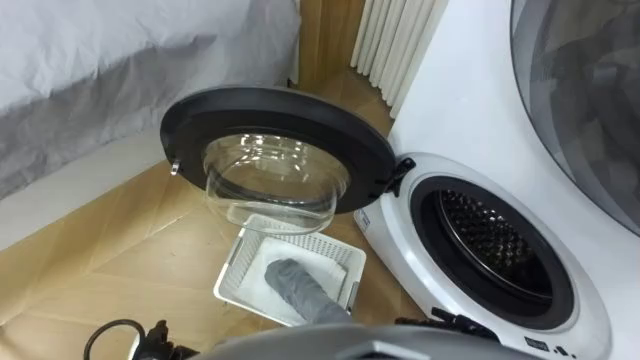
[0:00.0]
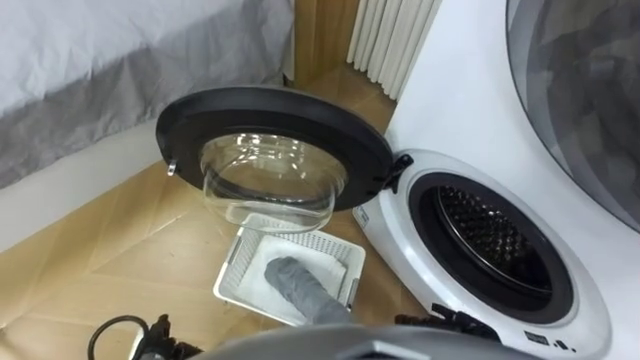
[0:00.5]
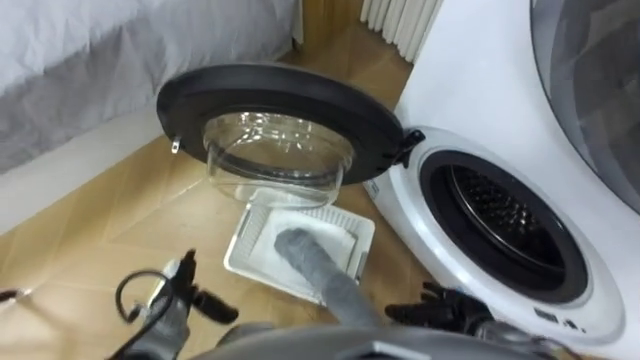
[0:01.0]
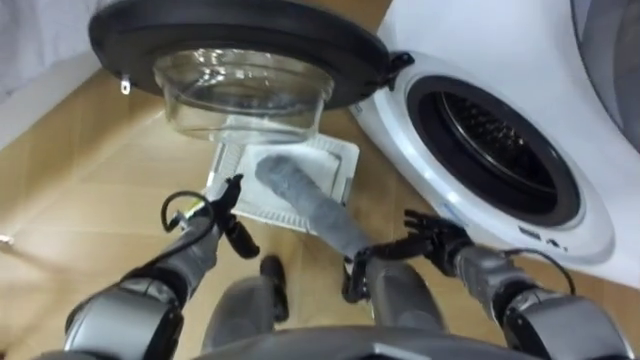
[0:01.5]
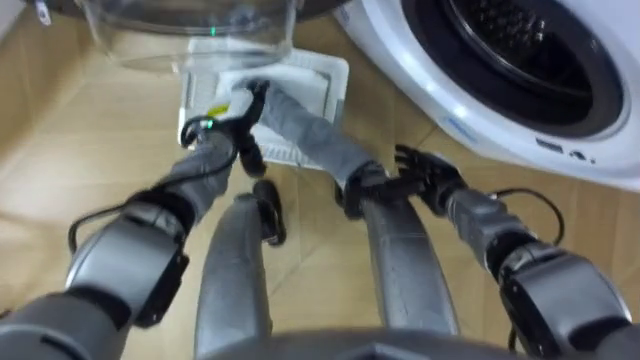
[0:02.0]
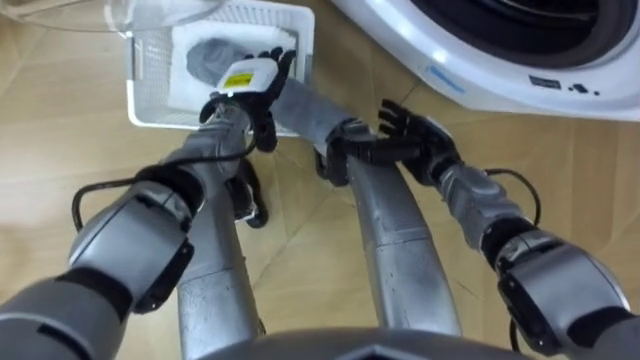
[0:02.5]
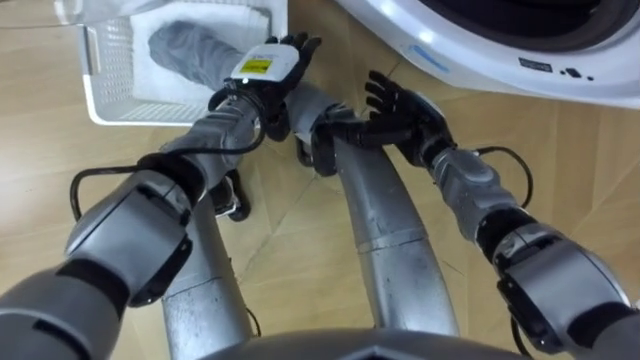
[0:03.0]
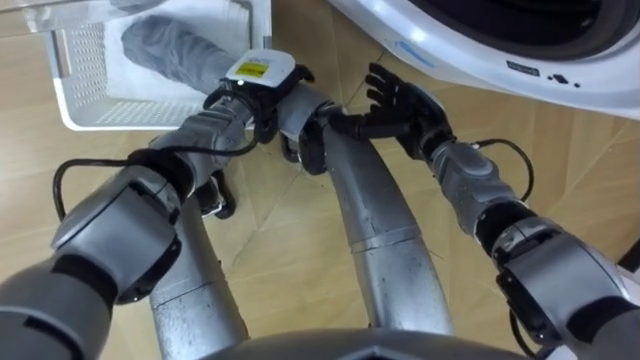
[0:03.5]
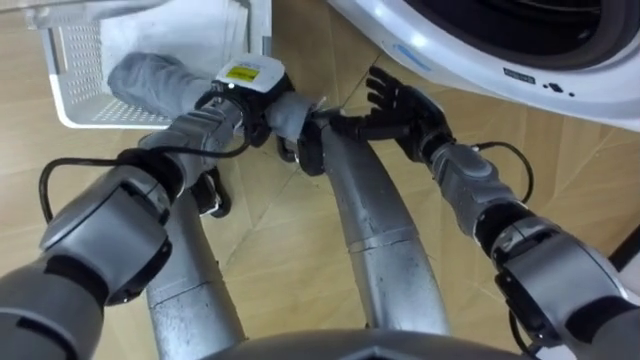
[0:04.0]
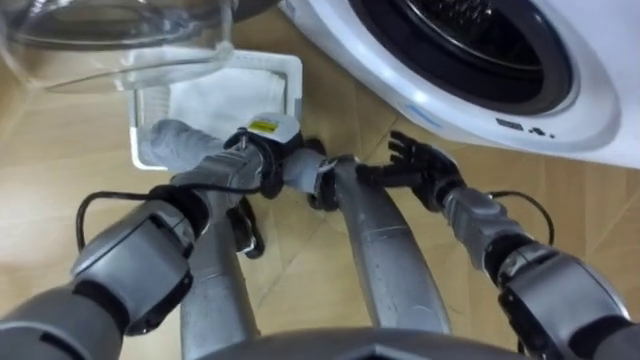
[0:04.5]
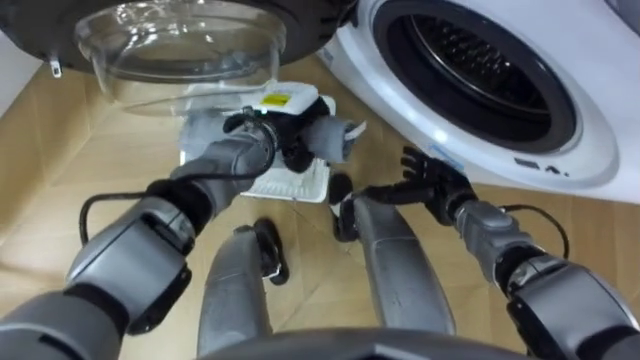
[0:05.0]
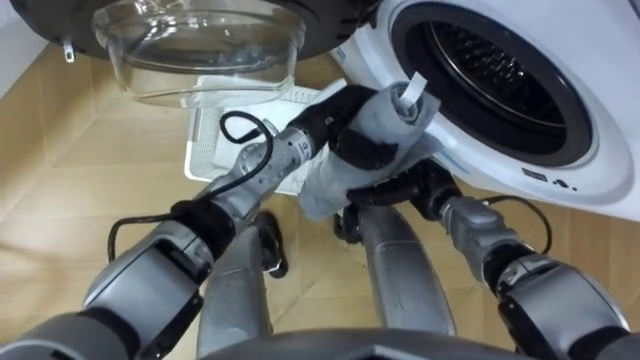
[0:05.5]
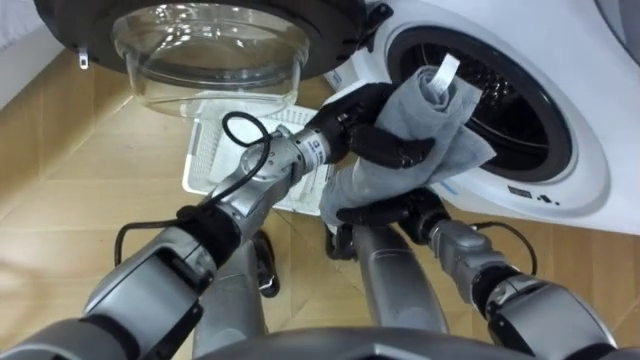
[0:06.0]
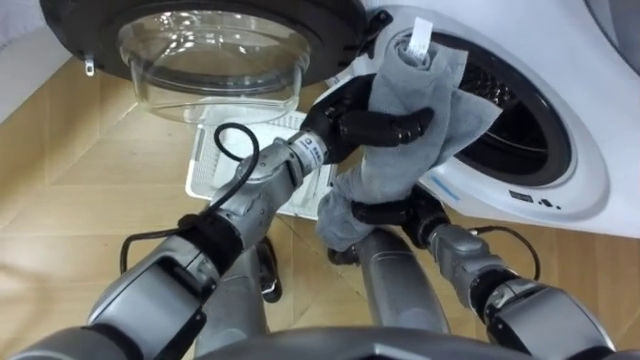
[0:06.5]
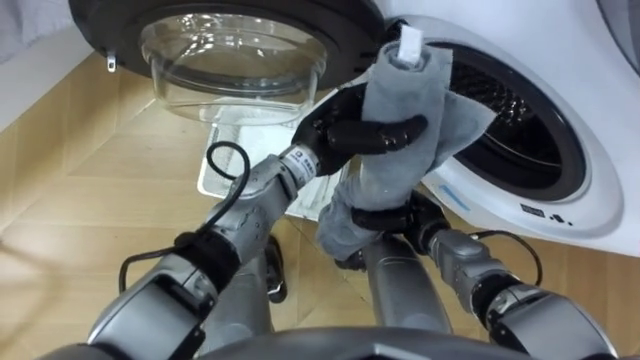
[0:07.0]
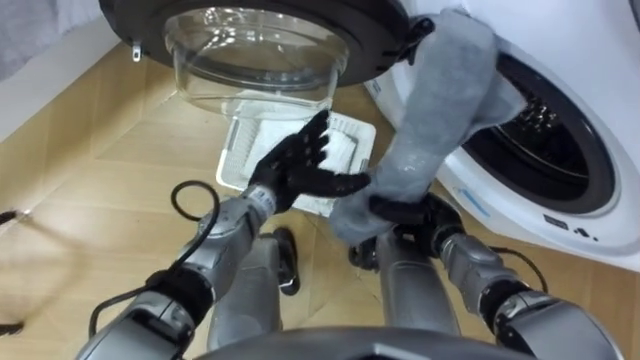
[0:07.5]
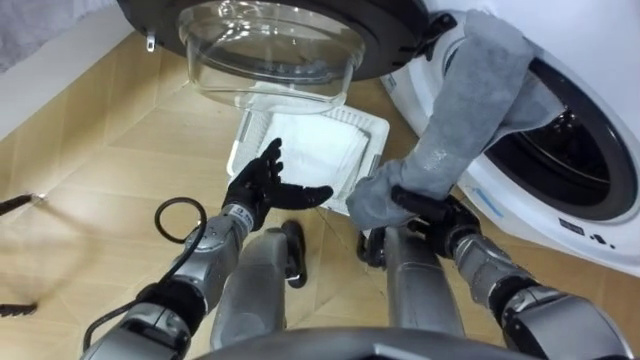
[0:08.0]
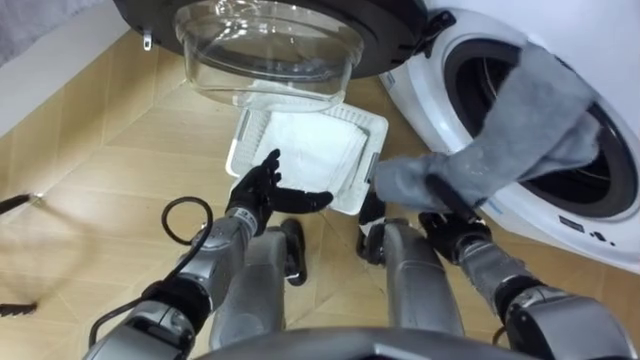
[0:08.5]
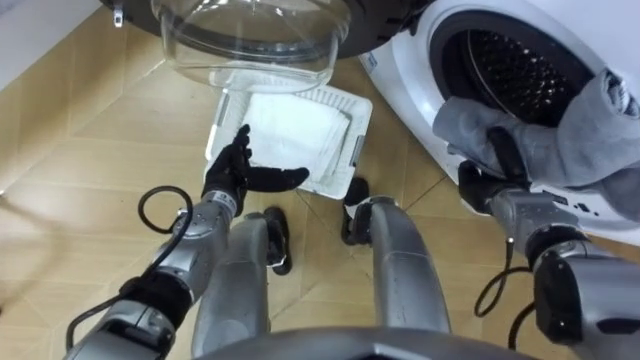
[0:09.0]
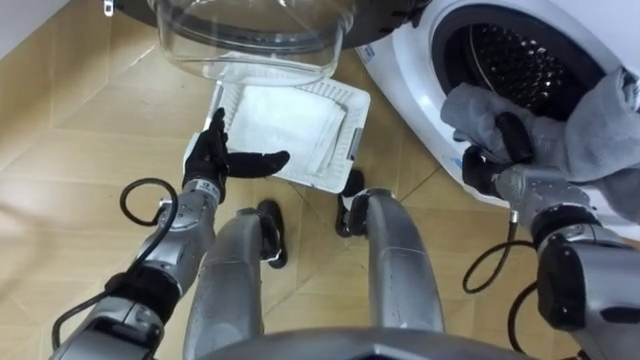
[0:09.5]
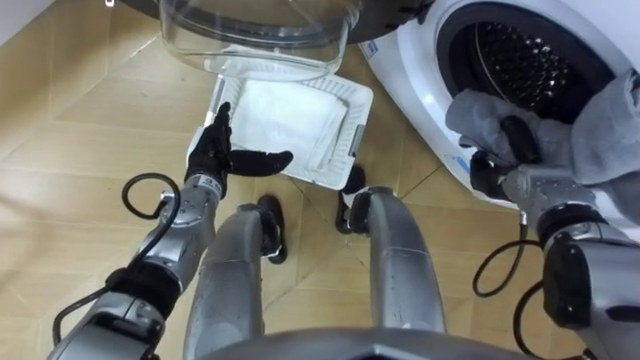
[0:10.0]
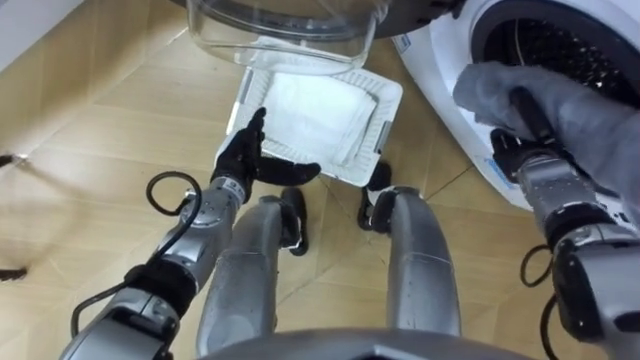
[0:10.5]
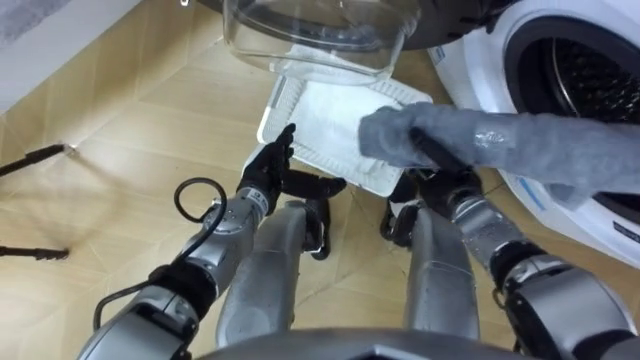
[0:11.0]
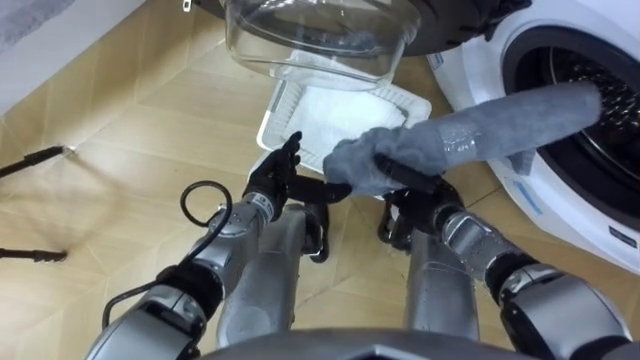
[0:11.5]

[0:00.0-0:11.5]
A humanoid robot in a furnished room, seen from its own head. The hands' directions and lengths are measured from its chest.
Task of the whole recording: Take the towel from the basket and put it into the washing machine.
0:02.0 to 0:04.0: The right hand moves upward and forward, some 10 cm. The left hand shifts by approximately 5 cm, and closes.
0:04.0 to 0:06.0: The left hand is displaced to the right and backward by about 15 cm. The right hand travels backward and downward by roughly 15 cm.
0:06.0 to 0:07.5: The left hand shifts roughly 10 cm to the left and downward, and opens its fingers. Meanwhile the right hand closes up.
0:07.5 to 0:09.5: The left hand moves to the left, some 10 cm. Meanwhile the right hand is displaced to the right and forward by roughly 10 cm.
0:09.5 to 0:11.5: The left hand travels to the right by about 10 cm. The right hand heads to the left, covering about 10 cm.

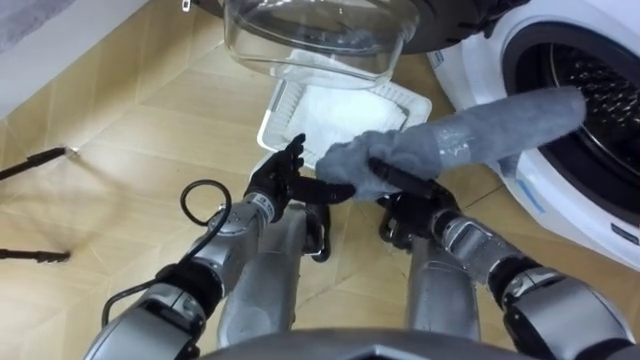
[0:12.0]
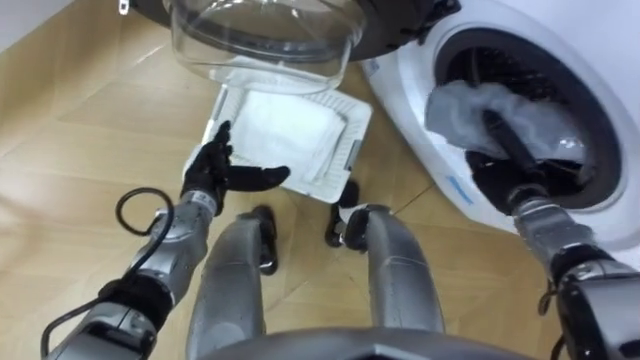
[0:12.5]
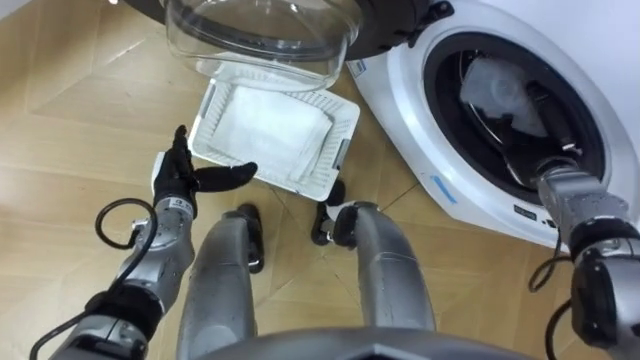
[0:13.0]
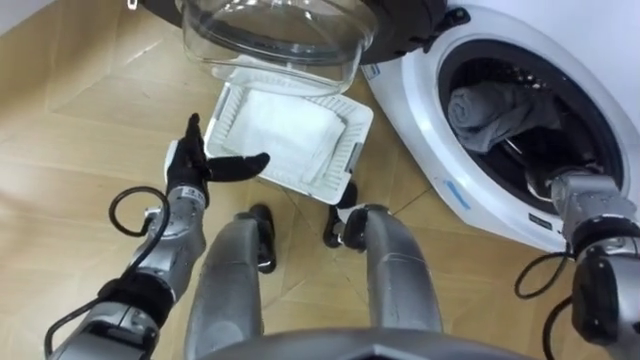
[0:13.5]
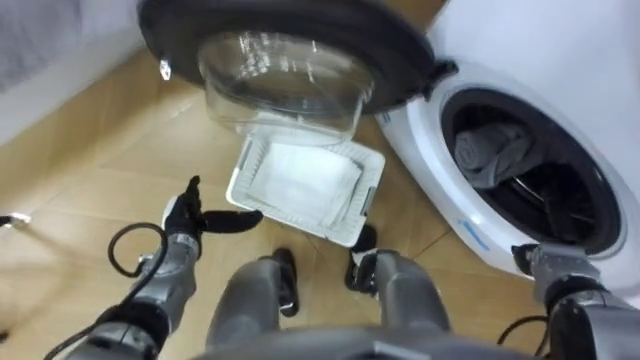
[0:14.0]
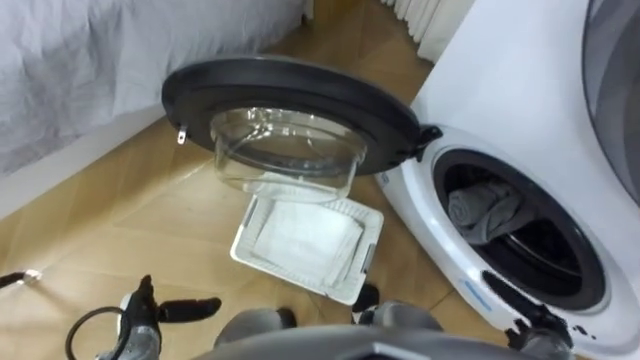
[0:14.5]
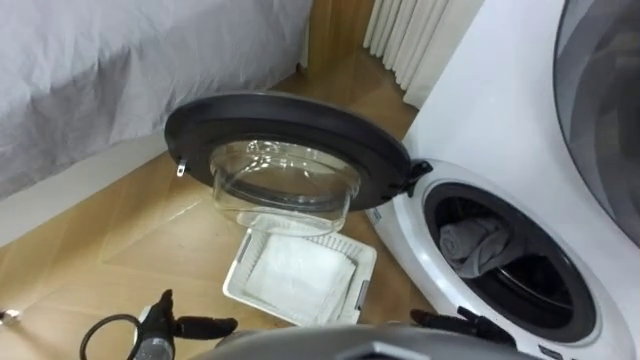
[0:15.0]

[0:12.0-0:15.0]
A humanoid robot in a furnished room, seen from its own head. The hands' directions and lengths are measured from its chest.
Task of the whole recording: Take the towel from the basket and put it into the washing machine.
0:12.0 to 0:13.5: The right hand goes approximately 20 cm to the right, and opens its fingers. The left hand goes about 10 cm to the left.
0:13.5 to 0:15.0: The right hand travels backward, downward and to the left by some 30 cm, while the left hand is displaced backward and downward by roughly 25 cm.

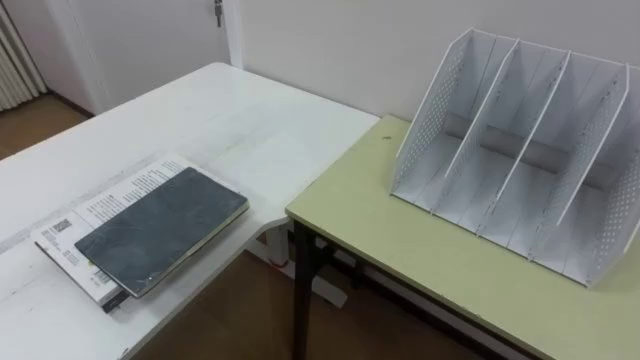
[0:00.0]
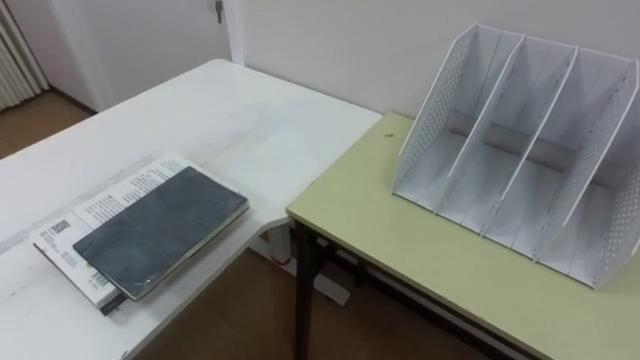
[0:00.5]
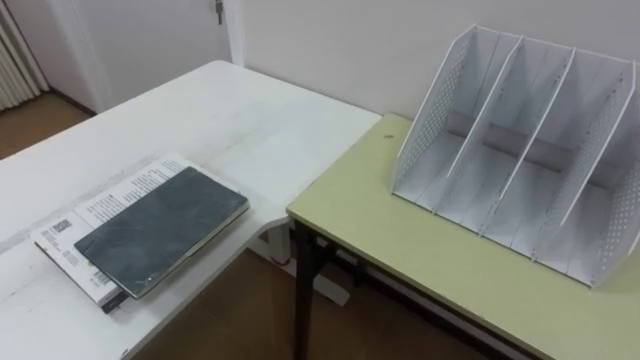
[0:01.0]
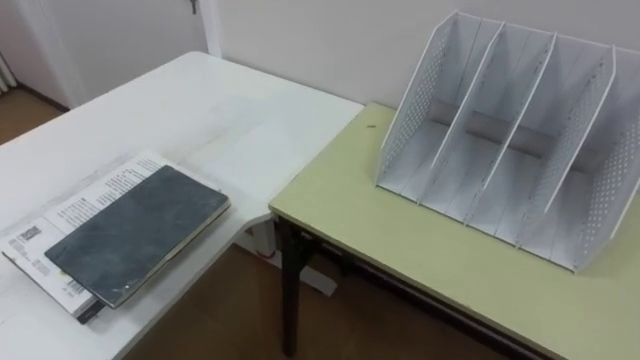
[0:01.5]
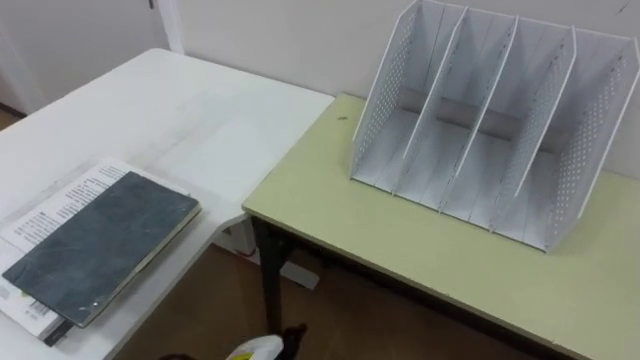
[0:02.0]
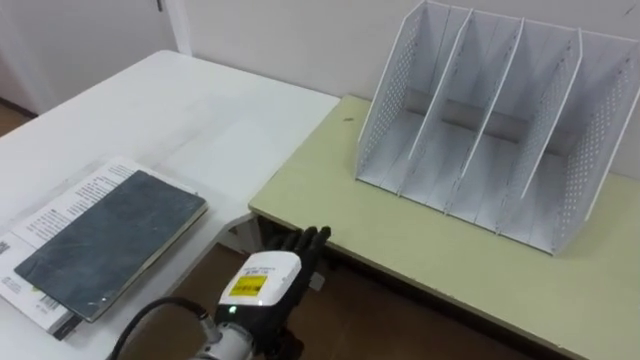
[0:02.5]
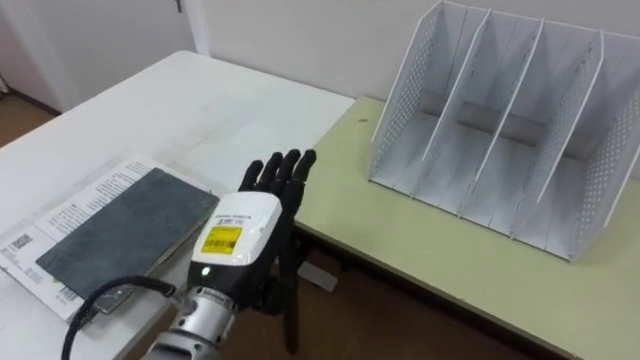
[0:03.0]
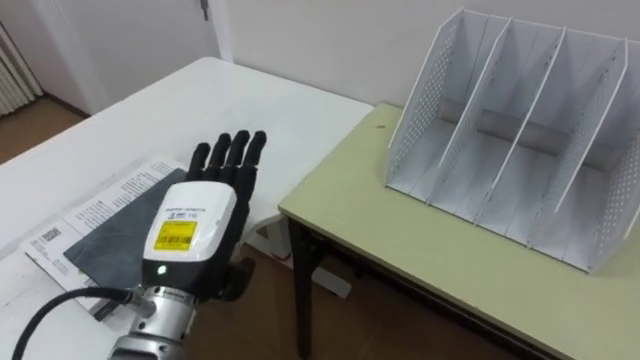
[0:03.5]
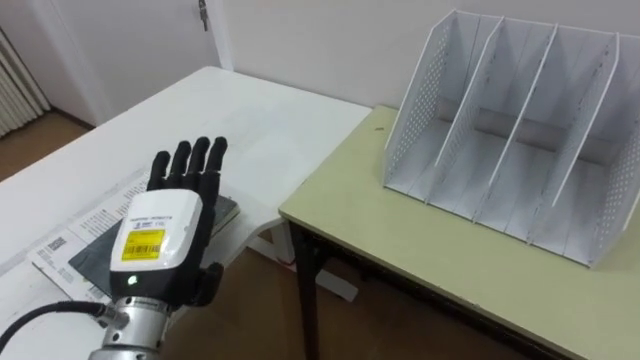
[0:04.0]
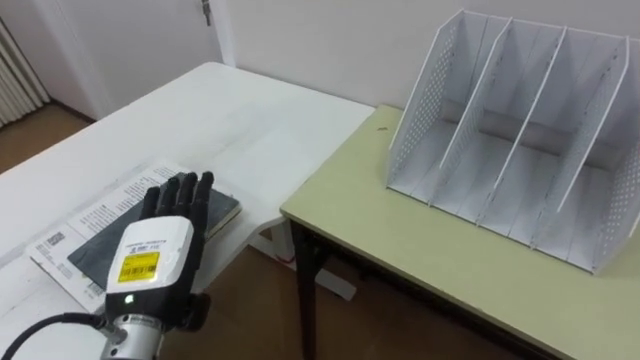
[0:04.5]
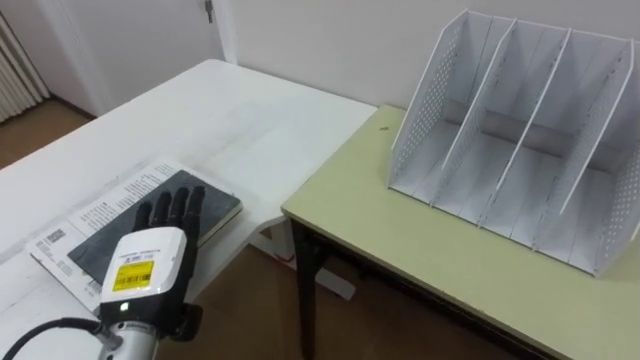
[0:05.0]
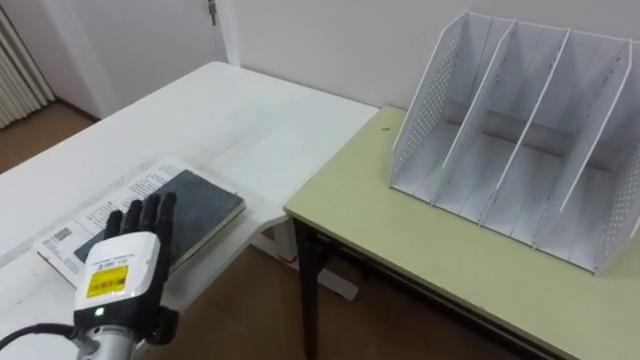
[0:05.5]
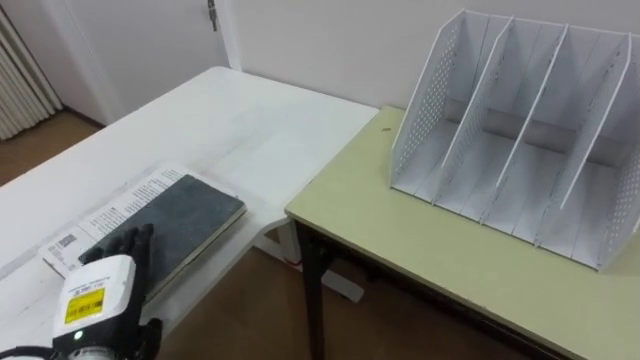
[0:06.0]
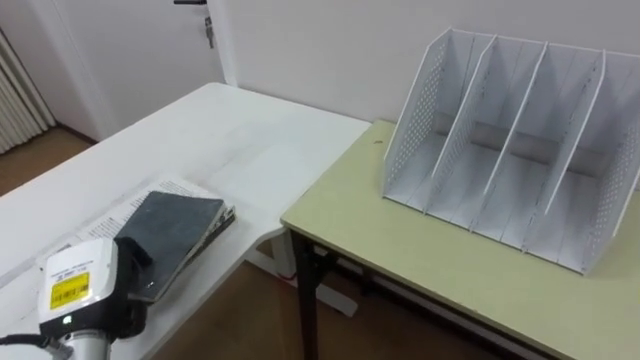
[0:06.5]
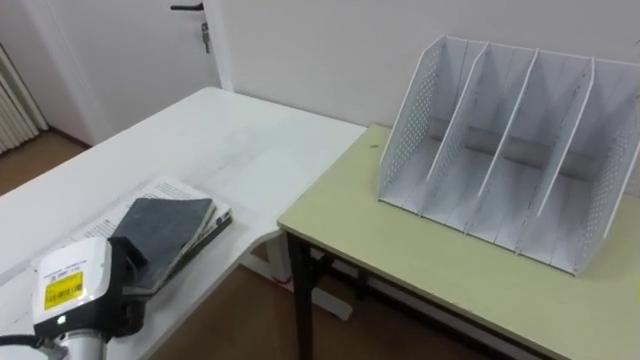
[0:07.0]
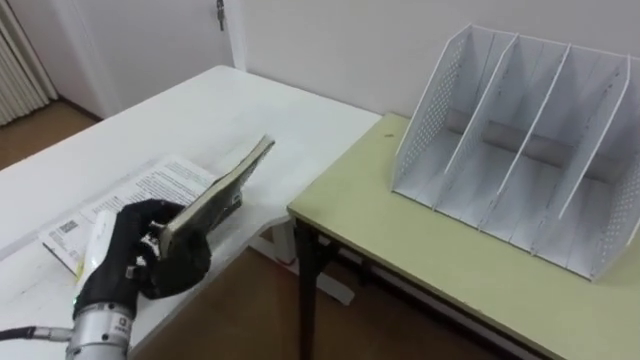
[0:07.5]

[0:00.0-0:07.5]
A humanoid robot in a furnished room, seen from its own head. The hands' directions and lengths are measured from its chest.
Task of the whole recording: Put the books on the table onto the bookshelf.
0:04.0 to 0:05.5: The left hand shifts some 10 cm downward and to the left.
0:05.5 to 0:07.5: The left hand closes up.
